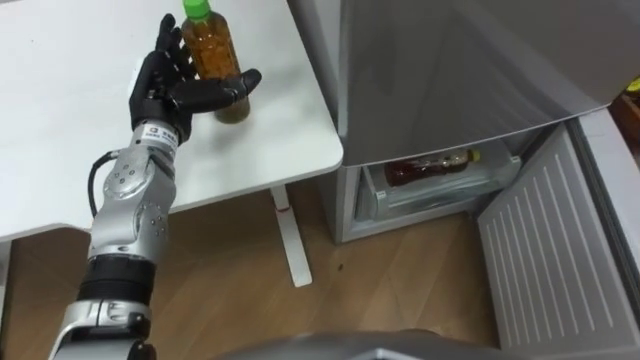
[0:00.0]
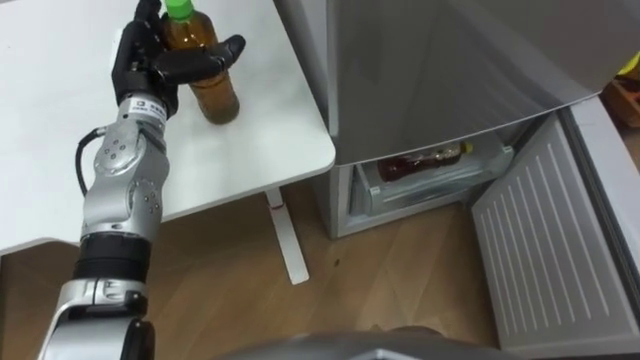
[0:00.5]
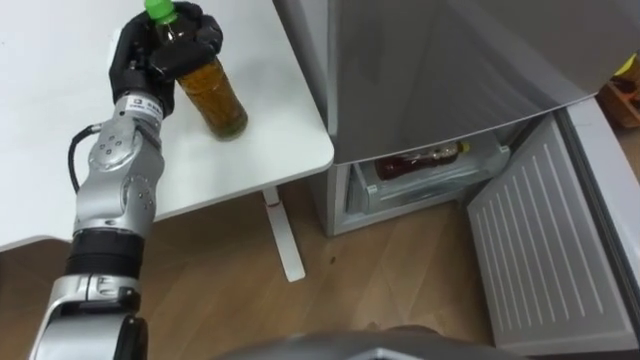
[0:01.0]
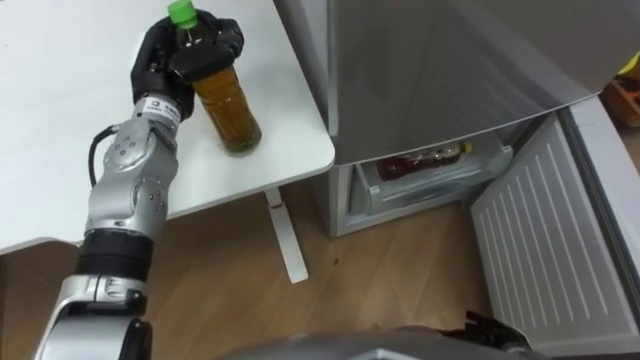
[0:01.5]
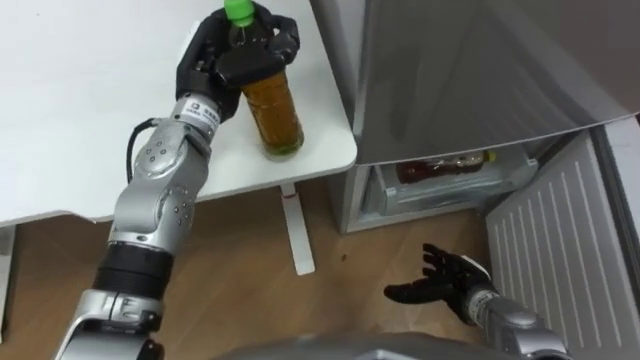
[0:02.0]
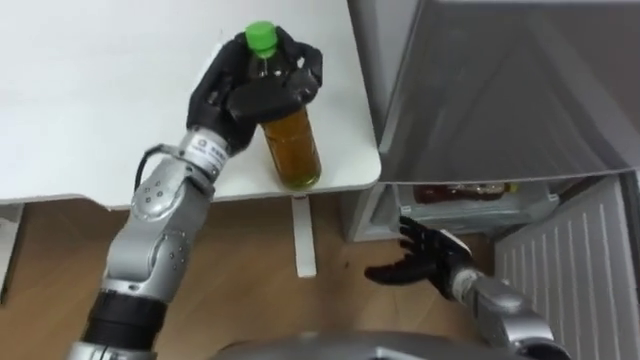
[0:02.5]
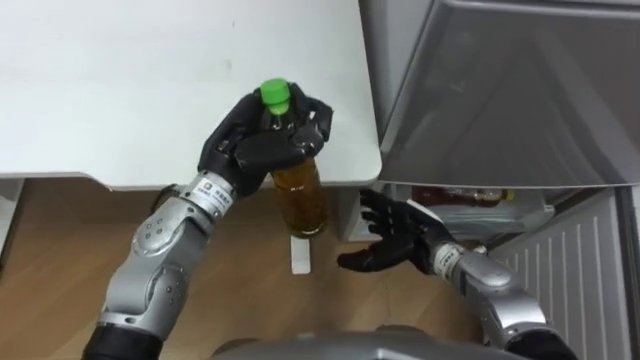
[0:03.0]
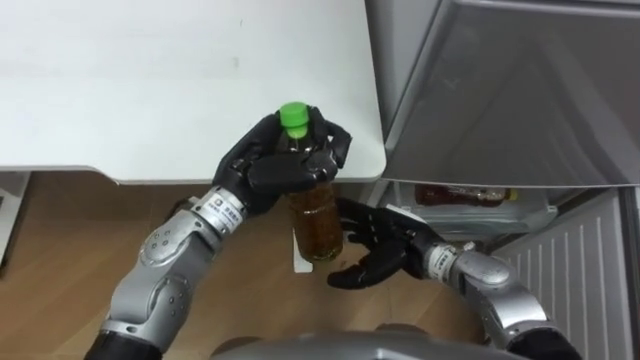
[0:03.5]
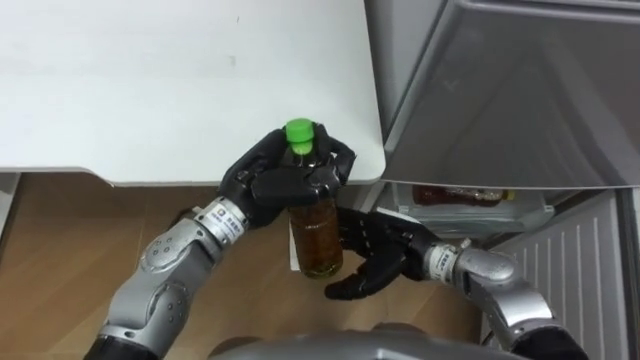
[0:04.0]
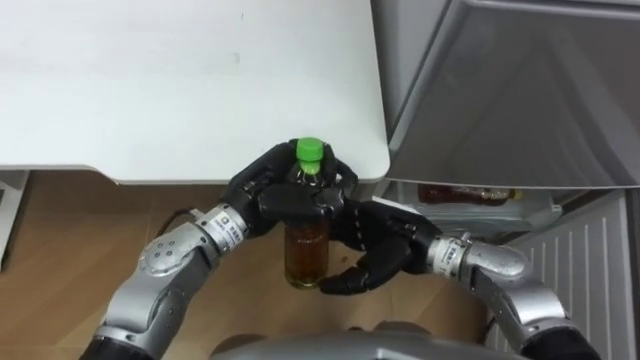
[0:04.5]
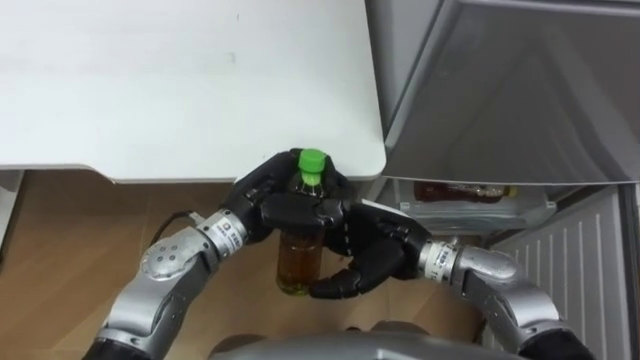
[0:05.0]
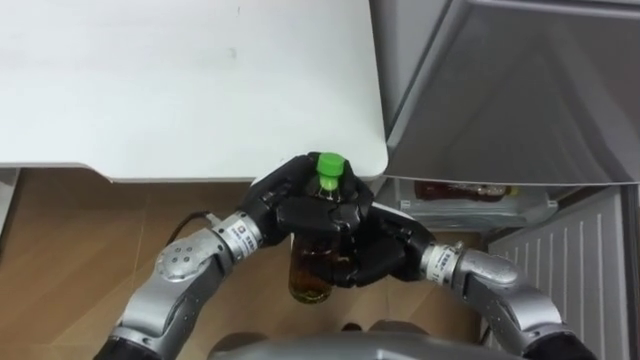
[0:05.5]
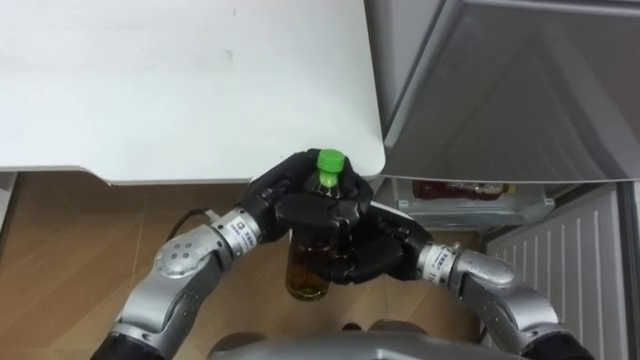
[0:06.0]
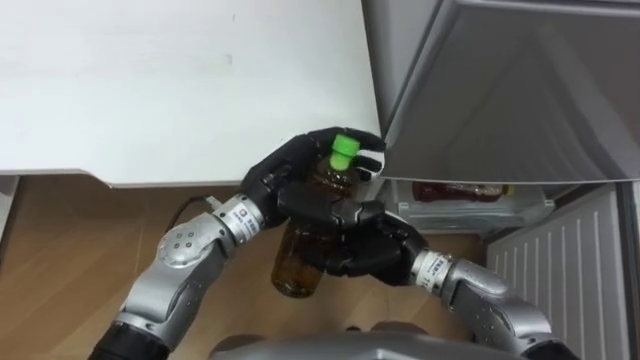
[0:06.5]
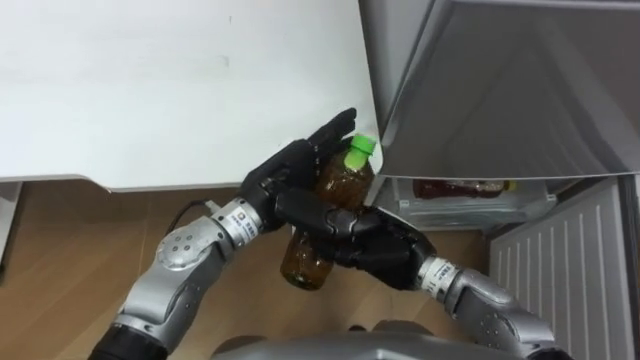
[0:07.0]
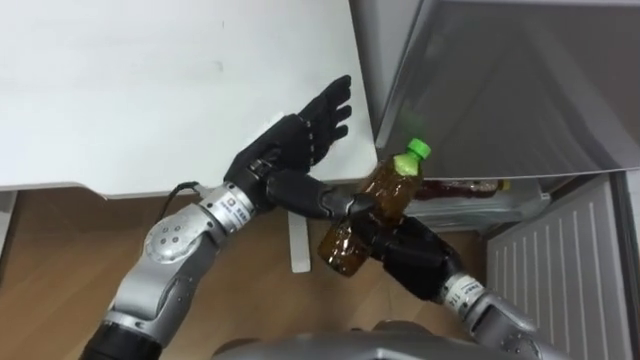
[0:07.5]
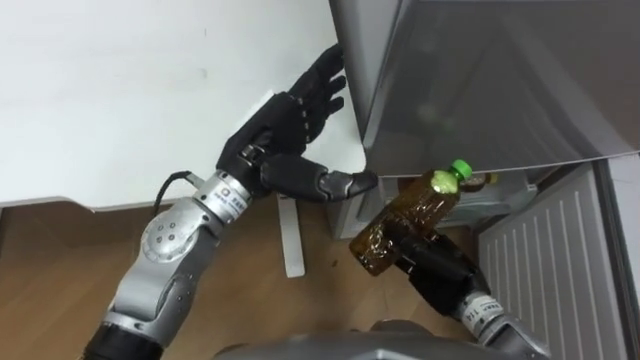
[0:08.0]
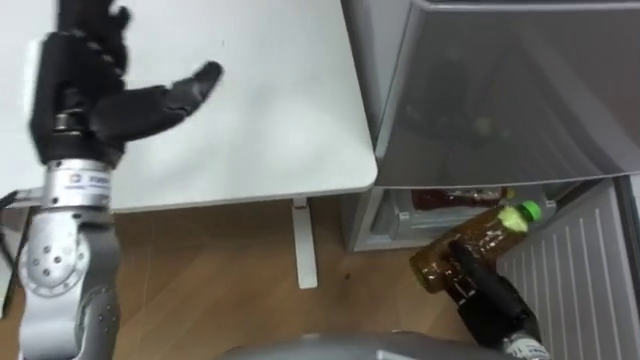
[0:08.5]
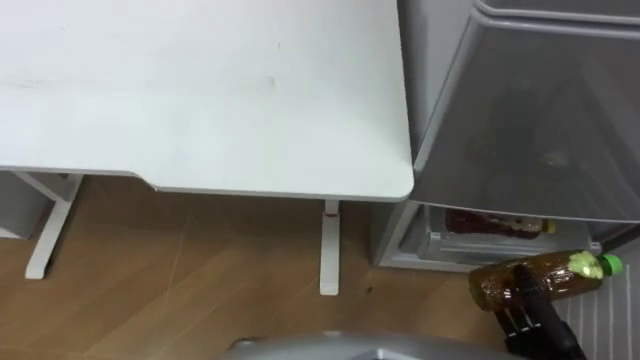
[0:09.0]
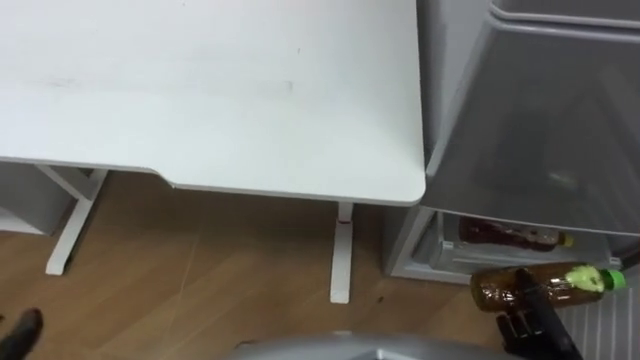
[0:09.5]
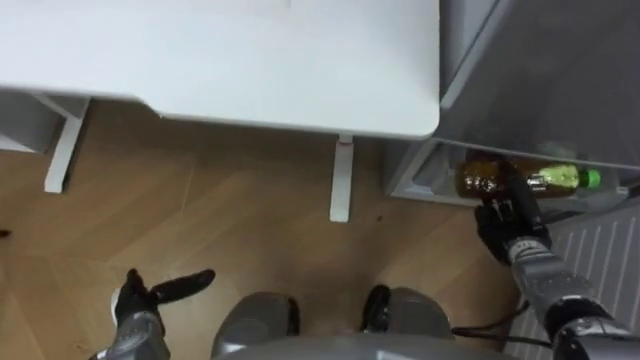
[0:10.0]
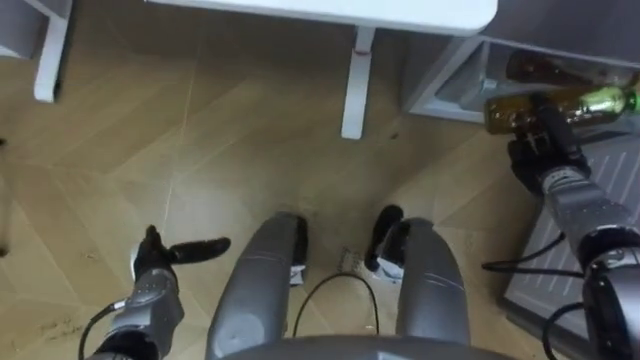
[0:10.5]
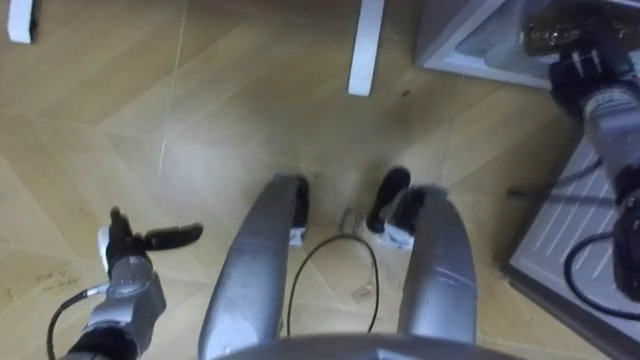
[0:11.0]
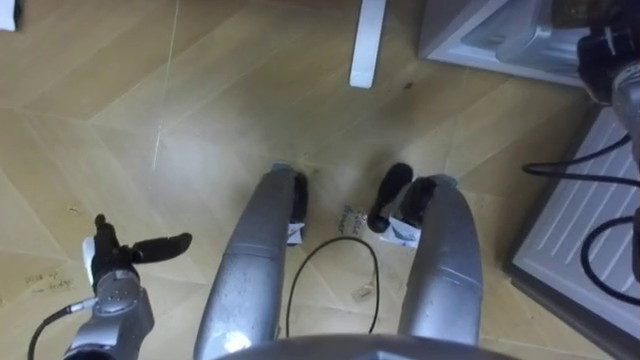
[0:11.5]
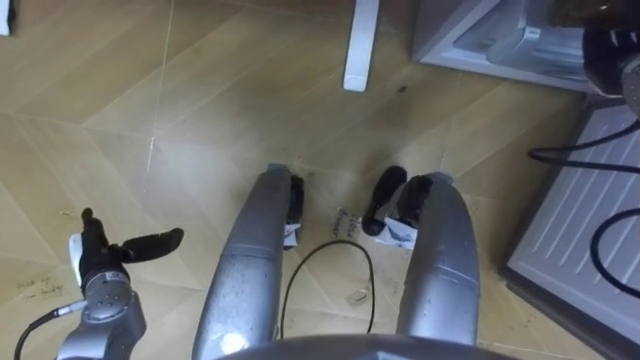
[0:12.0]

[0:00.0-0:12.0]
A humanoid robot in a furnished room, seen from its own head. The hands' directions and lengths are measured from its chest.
Task of the whole recording: Place the drink on the table on the bottom shelf of the refrigerator, then close the drawer and the refrigerator door.
0:00.0 to 0:02.0: The left hand heads to the right, covering roughly 5 cm, and closes its fingers.
0:02.0 to 0:04.0: The left hand goes roughly 15 cm backward, to the right and downward. Meanwhile the right hand shifts some 15 cm to the left, upward and forward.
0:04.0 to 0:06.0: The right hand closes.
0:06.0 to 0:08.0: The right hand heads to the right and downward, covering about 10 cm. Meanwhile the left hand is displaced upward by approximately 5 cm, and opens its fingers.
0:10.0 to 0:12.0: The left hand travels forward and upward by approximately 10 cm, while the right hand is displaced upward and forward by about 25 cm, and opens its fingers.

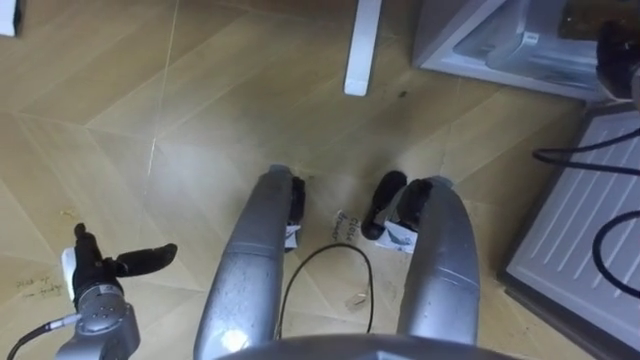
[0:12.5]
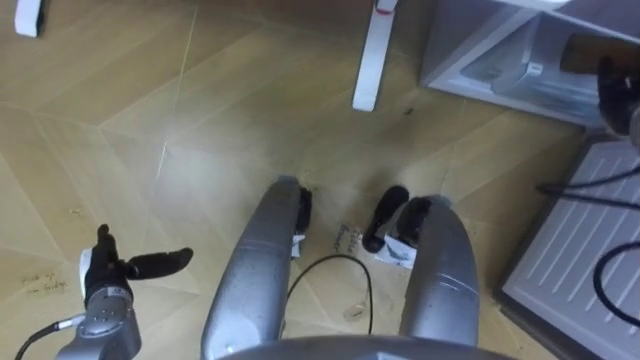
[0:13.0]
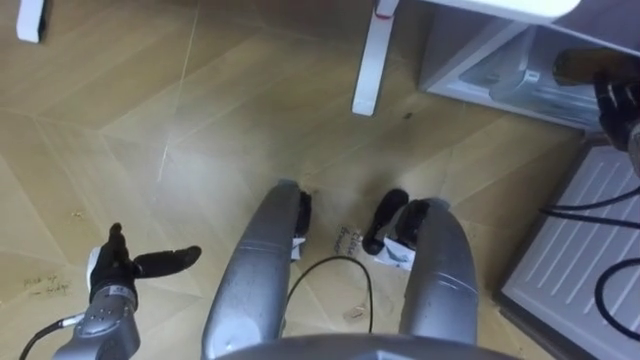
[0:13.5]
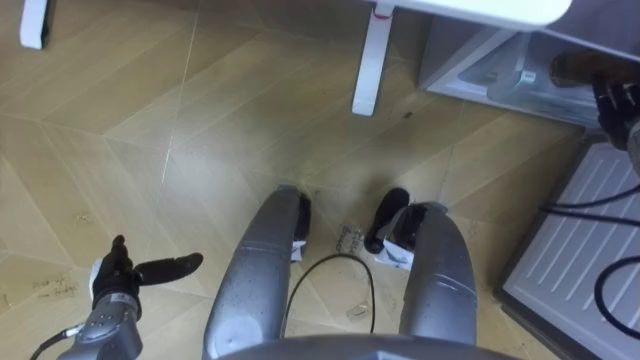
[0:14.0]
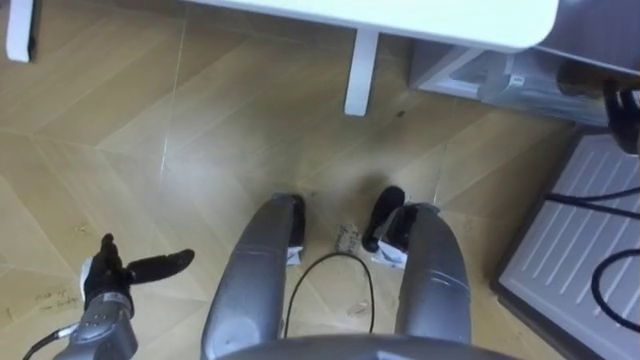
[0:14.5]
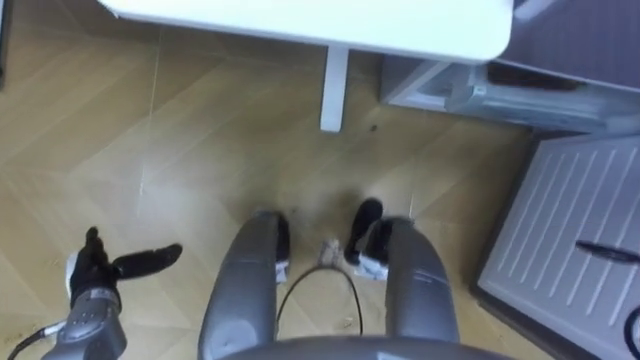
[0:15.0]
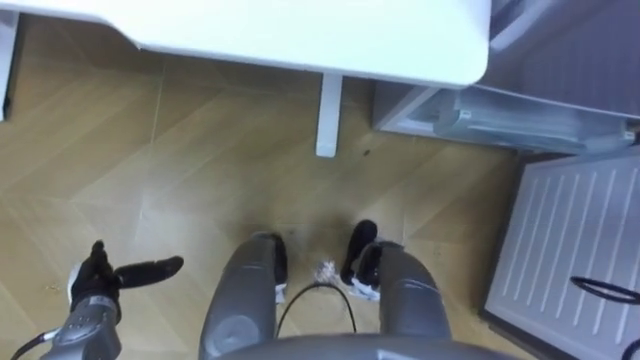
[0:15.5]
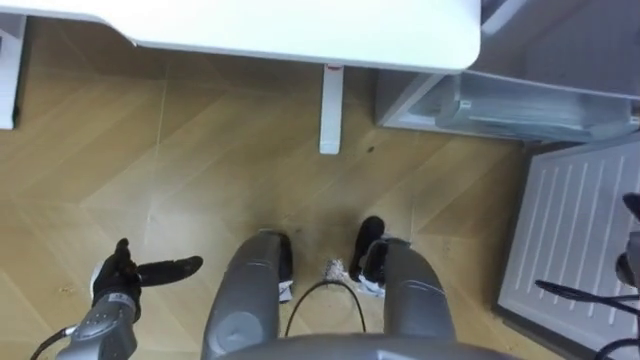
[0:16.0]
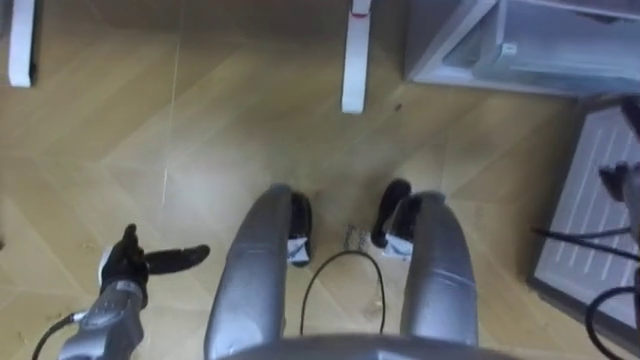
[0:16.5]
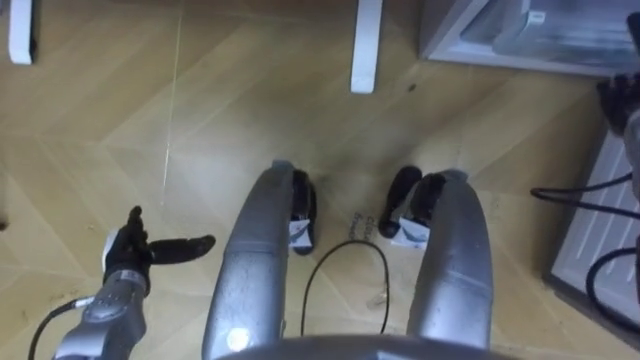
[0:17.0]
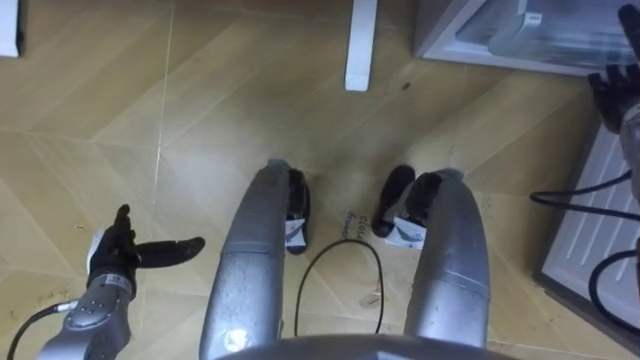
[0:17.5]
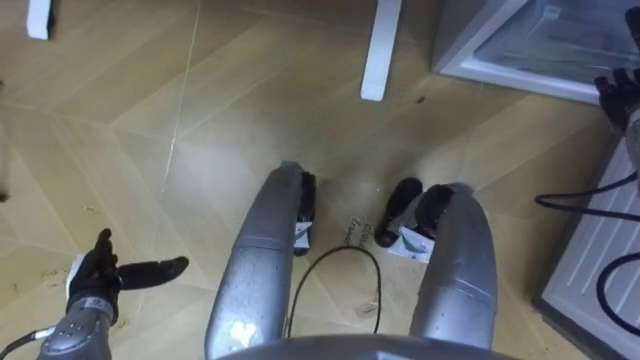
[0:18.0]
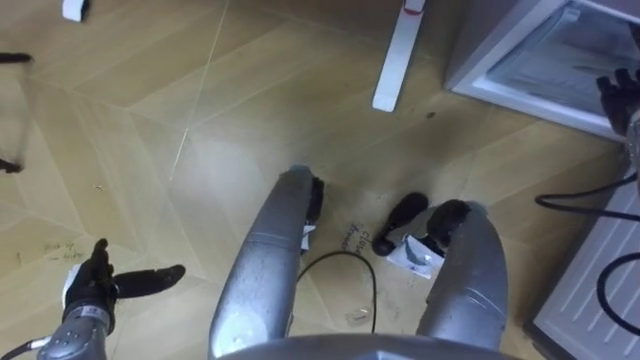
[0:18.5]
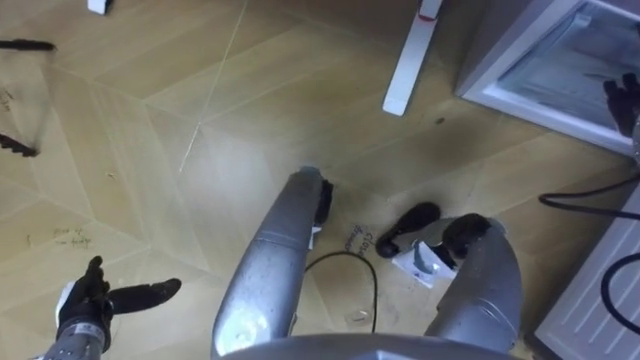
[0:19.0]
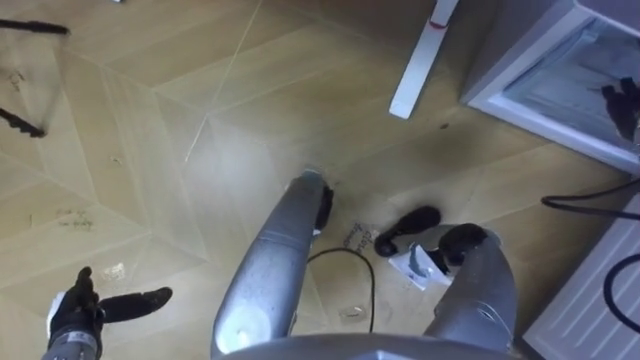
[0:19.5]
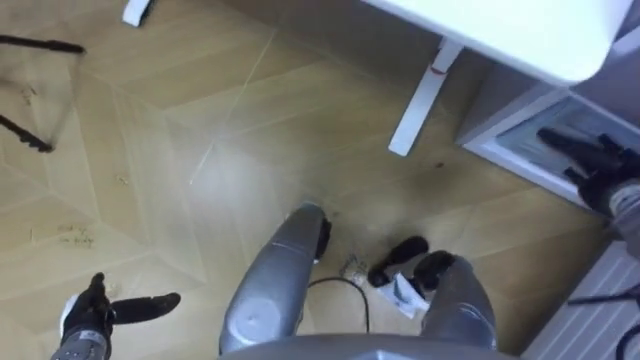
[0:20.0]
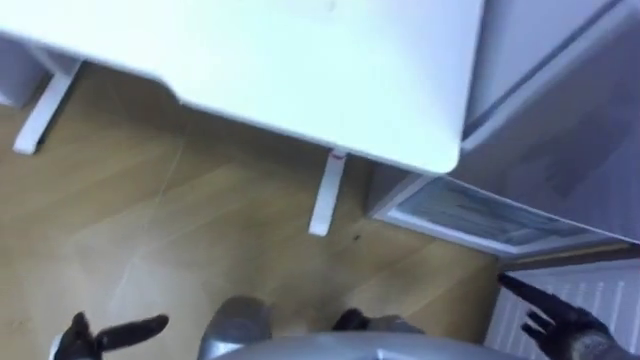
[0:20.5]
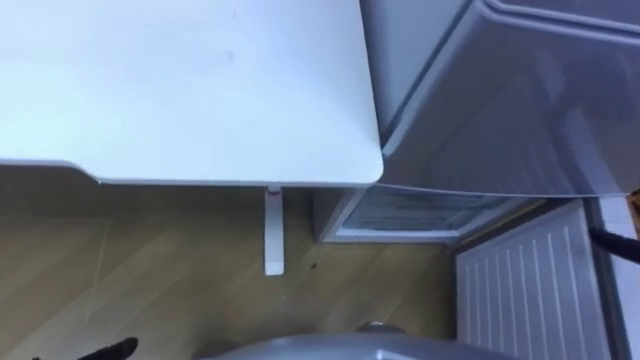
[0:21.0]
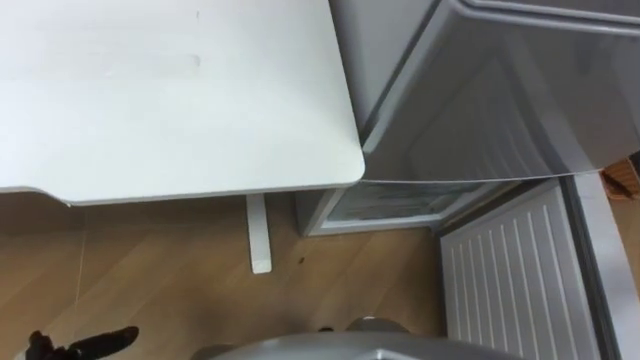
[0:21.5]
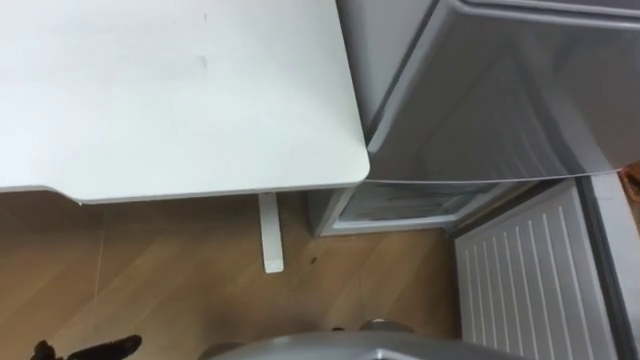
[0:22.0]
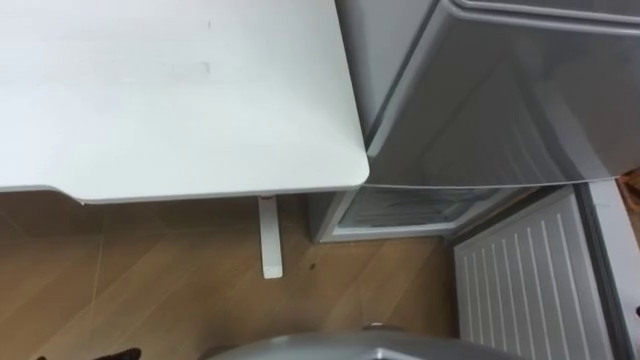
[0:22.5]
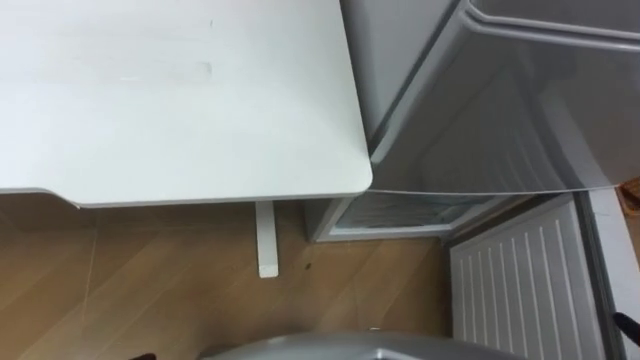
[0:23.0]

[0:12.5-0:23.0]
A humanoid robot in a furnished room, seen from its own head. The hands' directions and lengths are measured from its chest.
Task of the whole recording: Place the drink on the table on the bottom shelf of the refrigerator, then close the drawer and the refrigerator door.
0:16.5 to 0:19.0: The left hand is displaced backward by approximately 5 cm.
